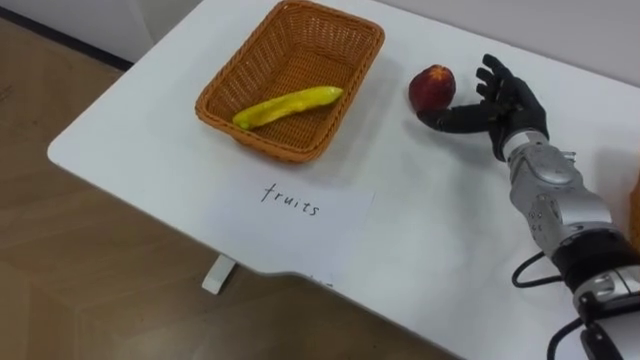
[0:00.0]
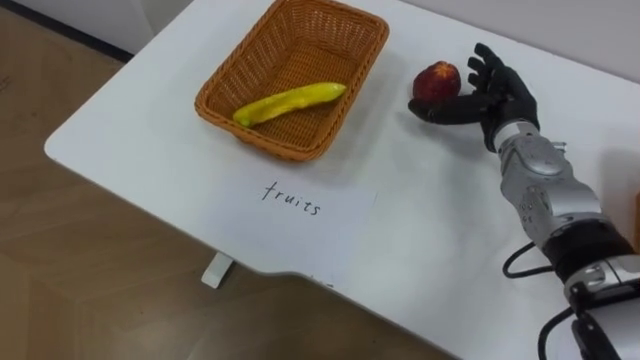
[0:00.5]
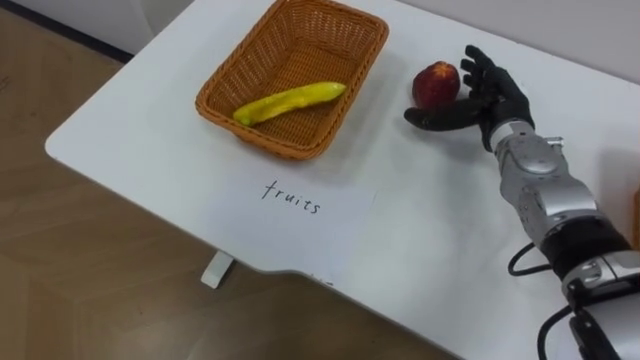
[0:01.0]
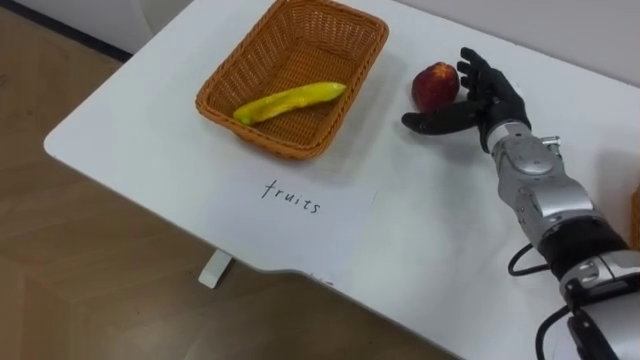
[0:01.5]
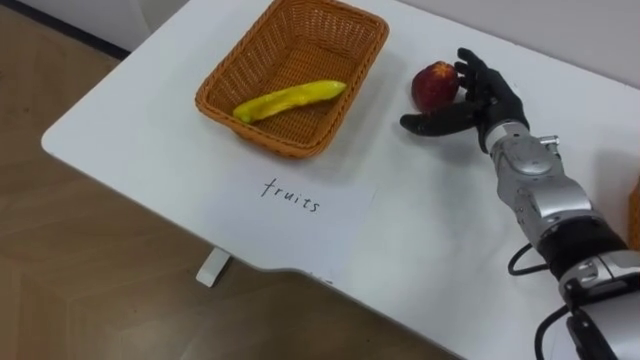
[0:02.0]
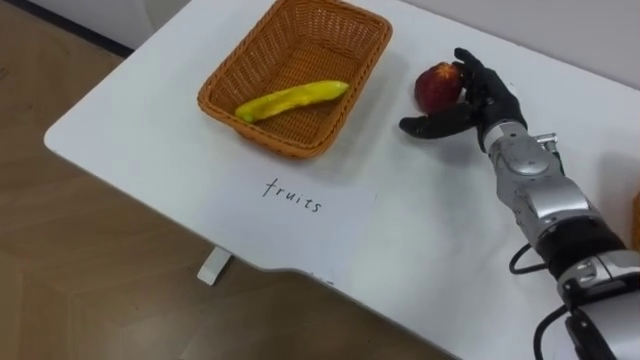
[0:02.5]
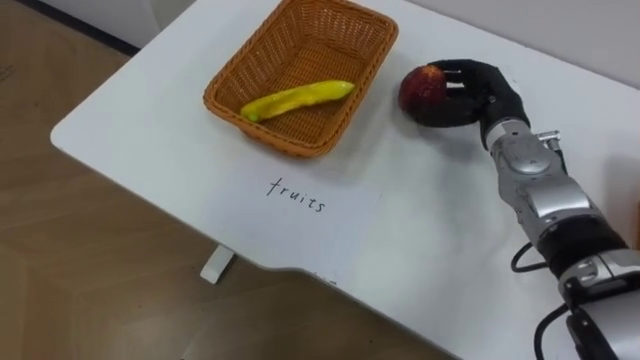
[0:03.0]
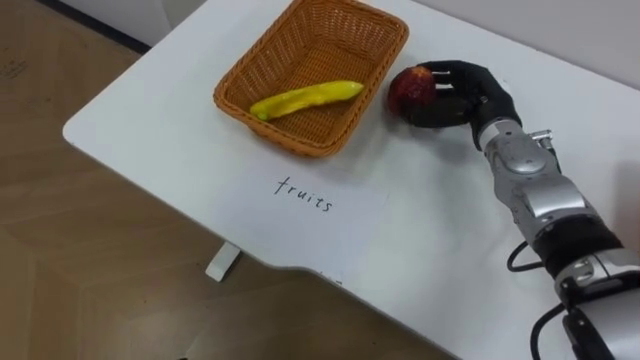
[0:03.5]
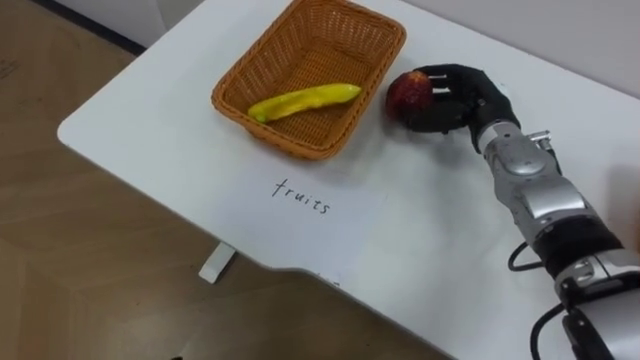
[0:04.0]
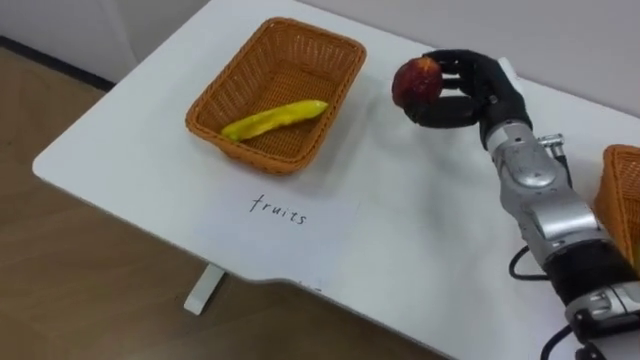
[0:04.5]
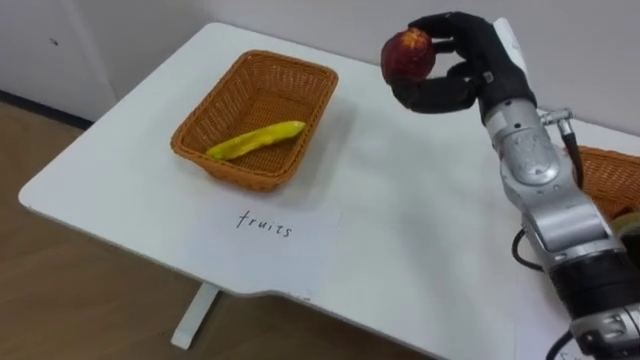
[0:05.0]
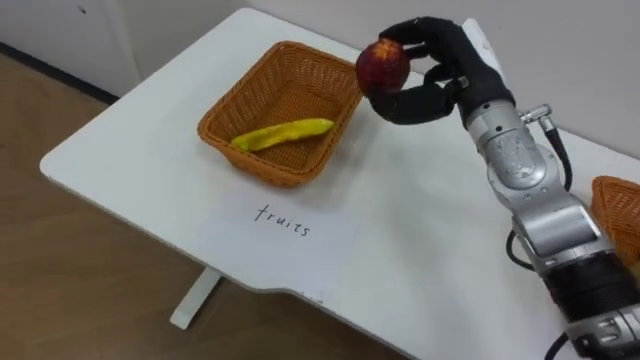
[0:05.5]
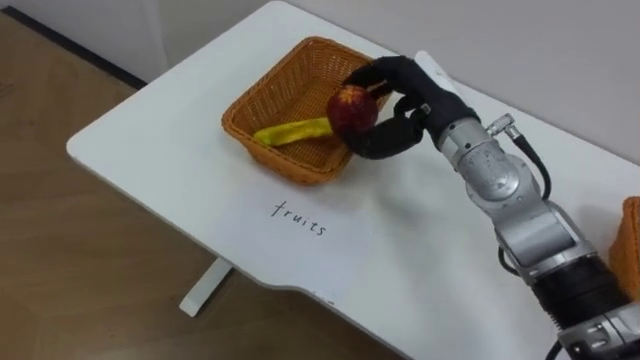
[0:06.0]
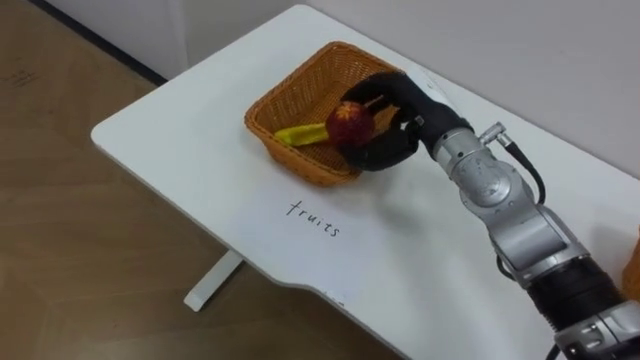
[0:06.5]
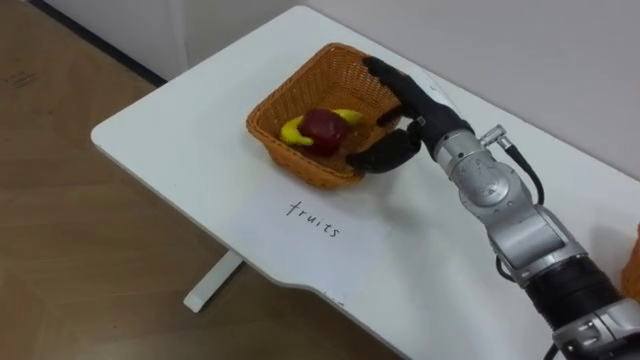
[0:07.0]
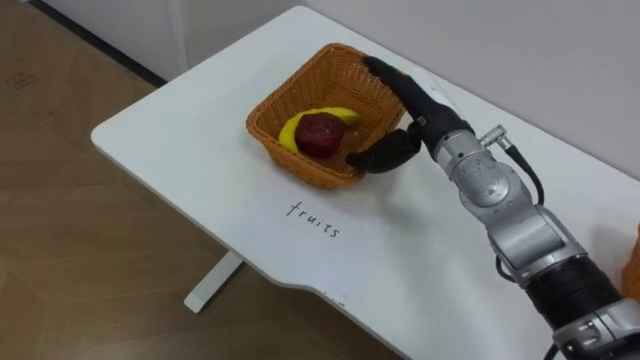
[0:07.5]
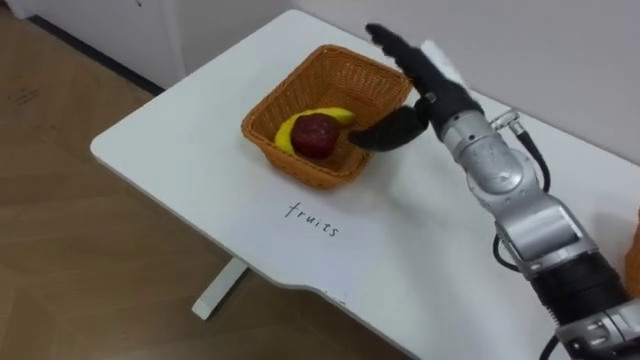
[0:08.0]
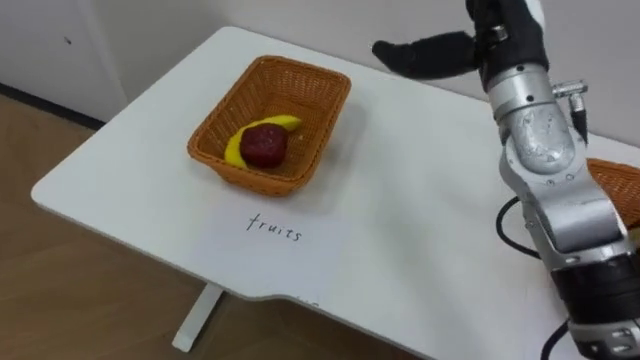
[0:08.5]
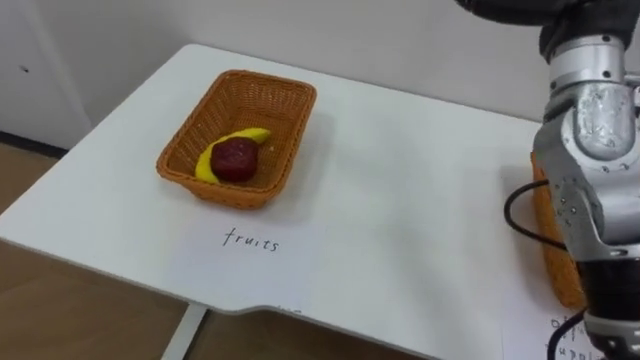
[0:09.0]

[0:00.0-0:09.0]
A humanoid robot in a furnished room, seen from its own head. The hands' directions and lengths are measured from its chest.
Task of the whole recording: Separate the items on the table and place them into the two baskets.
0:02.0 to 0:04.5: The right hand closes.
0:04.5 to 0:07.0: The right hand shifts some 10 cm to the left, and opens up.
0:07.0 to 0:09.0: The right hand heads upward and to the right, covering about 20 cm.

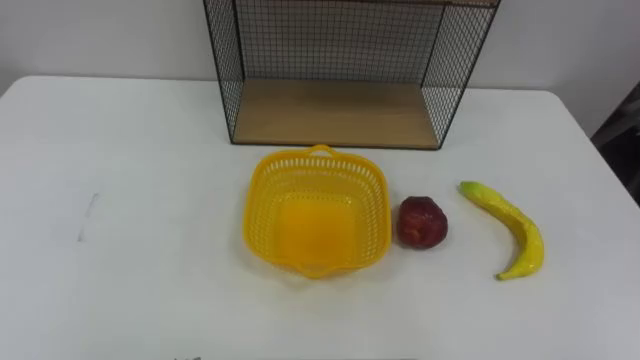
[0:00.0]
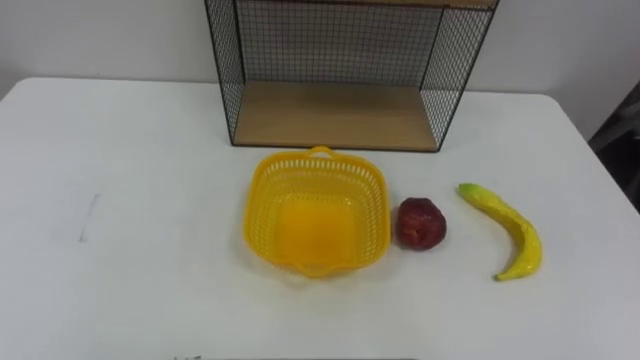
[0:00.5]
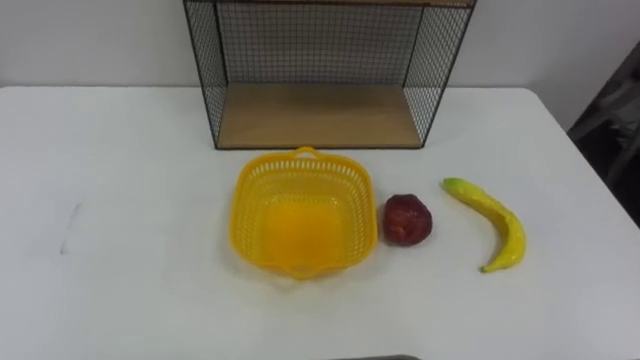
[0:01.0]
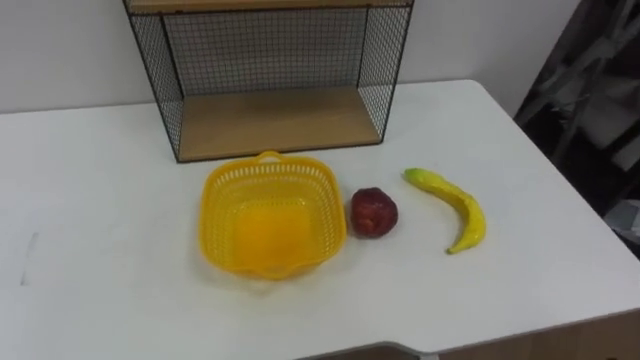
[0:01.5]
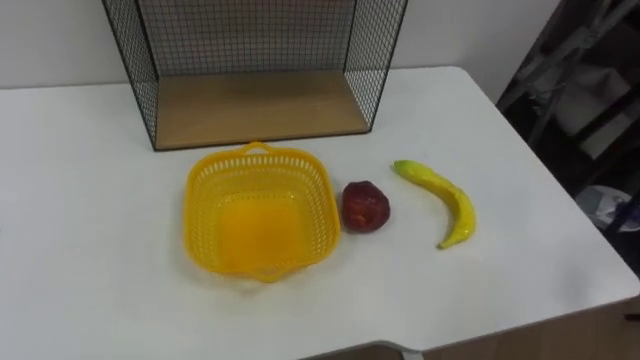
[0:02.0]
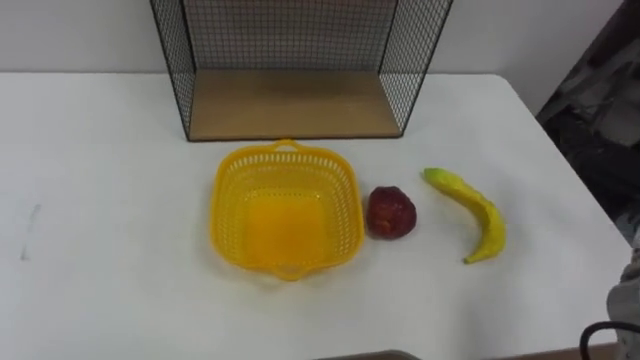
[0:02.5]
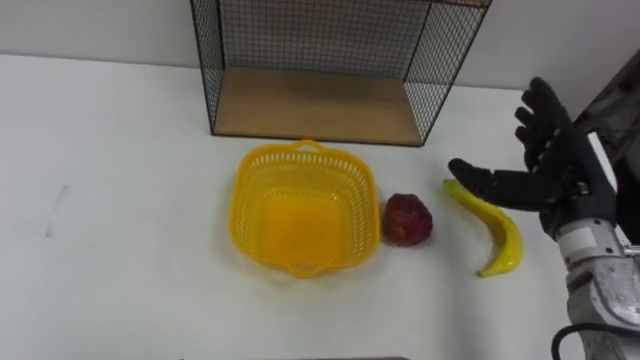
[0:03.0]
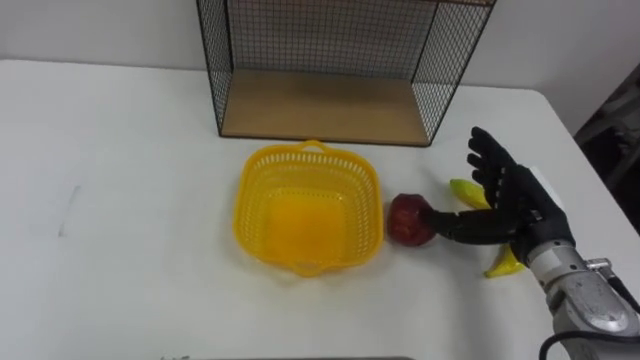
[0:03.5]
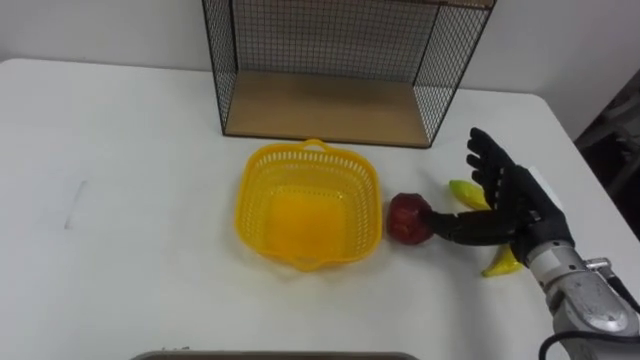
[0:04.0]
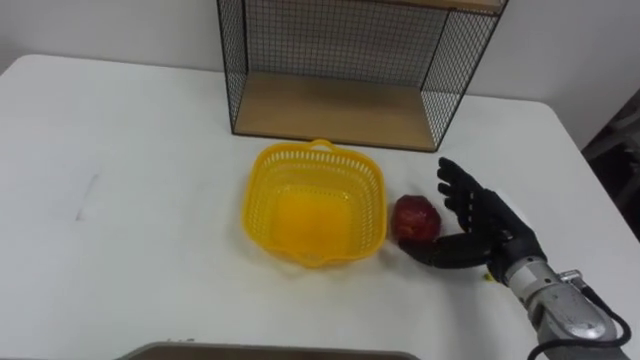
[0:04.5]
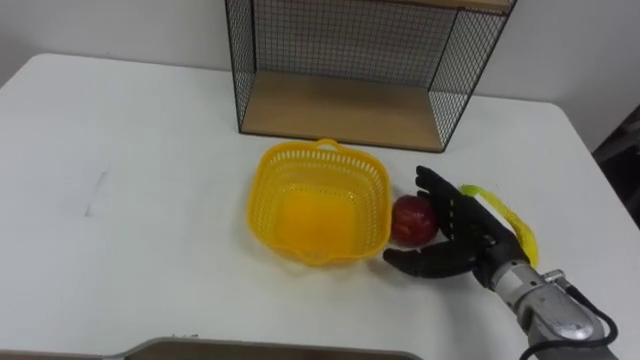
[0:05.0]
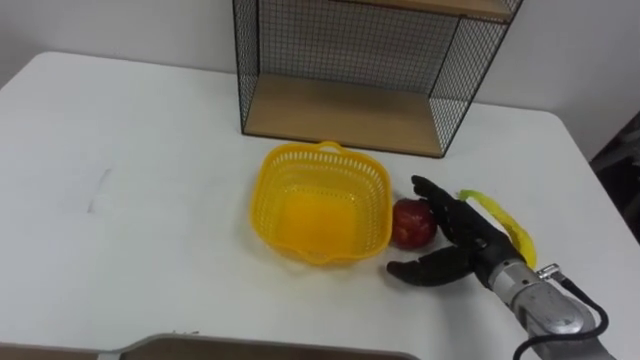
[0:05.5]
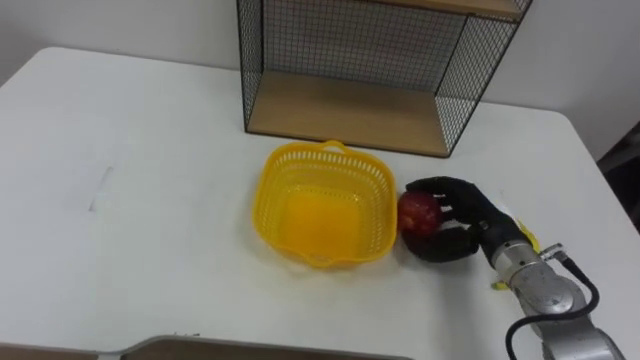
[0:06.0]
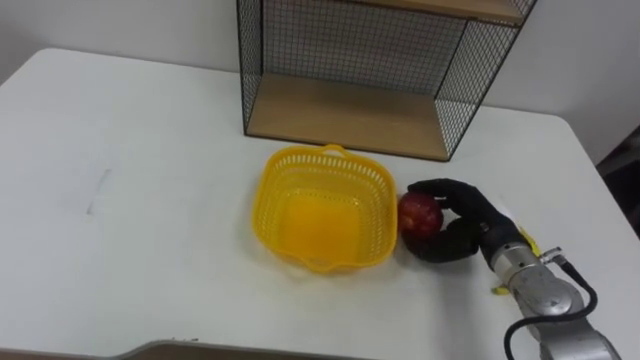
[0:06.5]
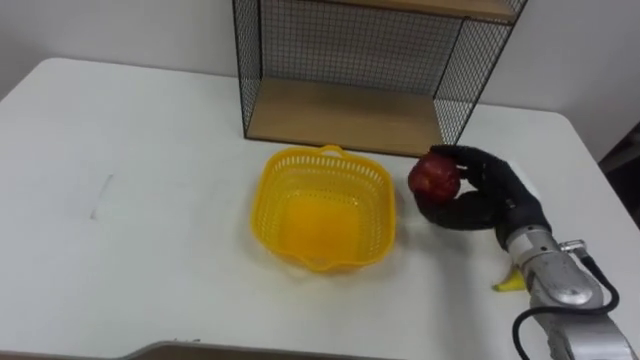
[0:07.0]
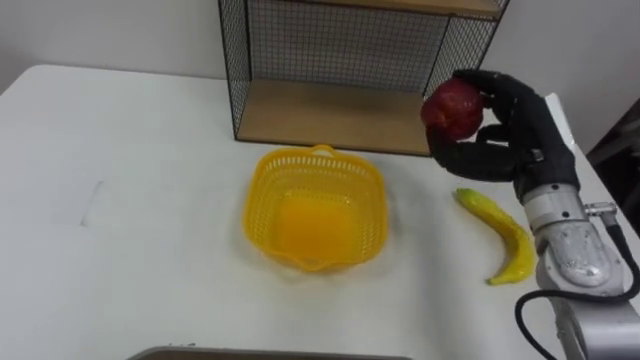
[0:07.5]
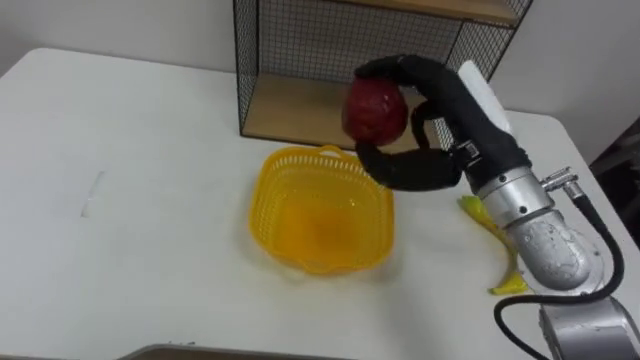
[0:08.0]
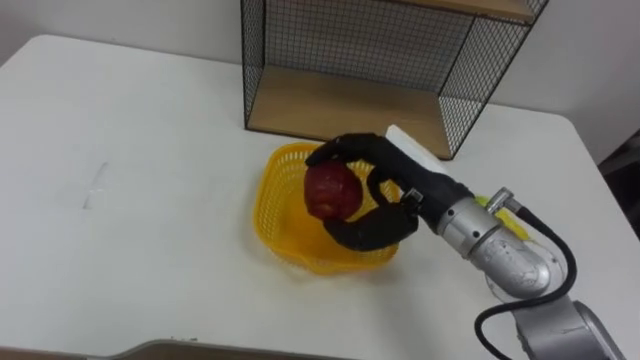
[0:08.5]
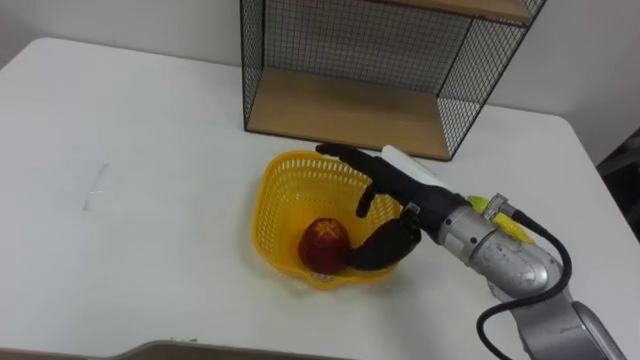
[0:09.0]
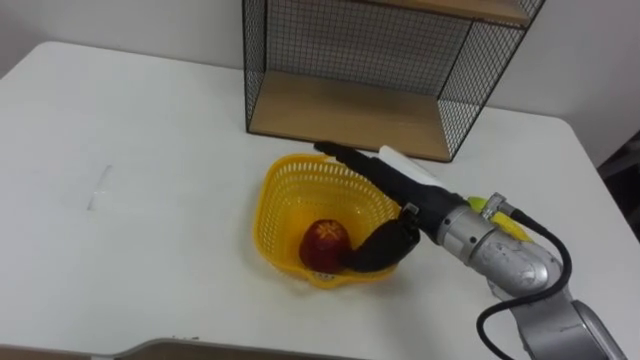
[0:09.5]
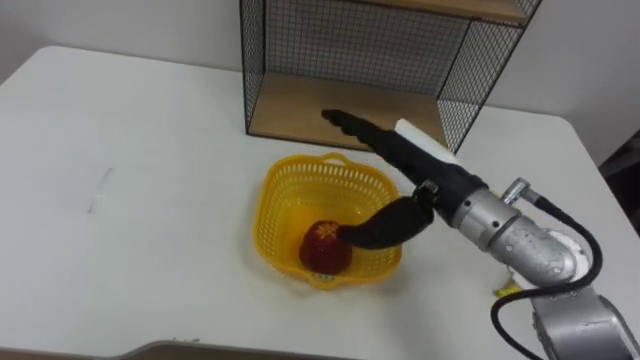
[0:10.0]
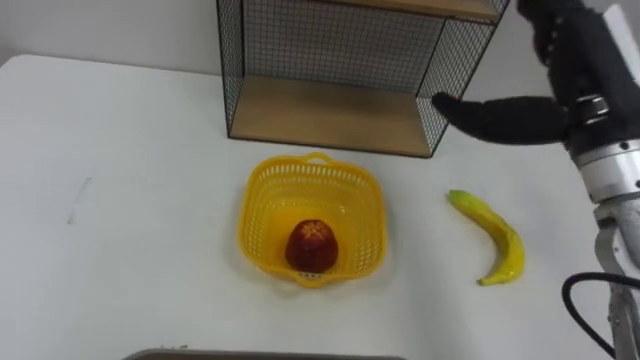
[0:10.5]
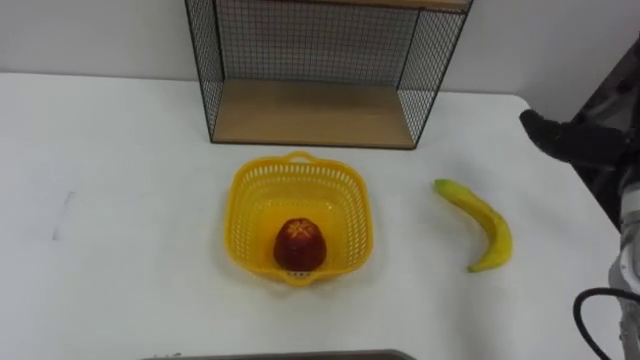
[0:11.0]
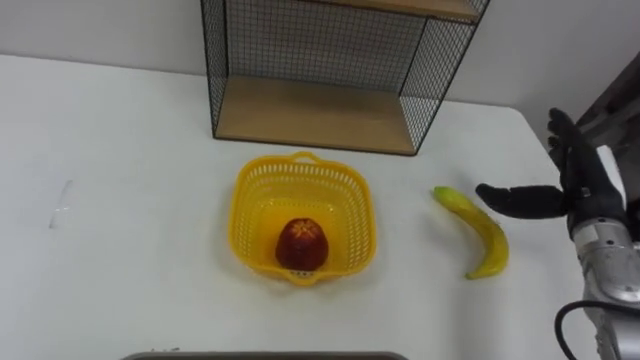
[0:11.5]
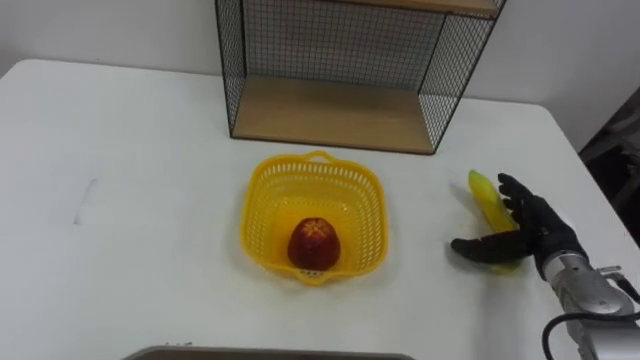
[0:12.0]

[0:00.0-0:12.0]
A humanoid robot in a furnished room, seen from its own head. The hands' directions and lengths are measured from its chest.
Task of the whole recording: Put the fruit on the table into the basket, then place the basket on the shelf.
0:04.0 to 0:06.0: The right hand moves about 5 cm, and closes.
0:06.0 to 0:08.0: The right hand moves upward, about 20 cm.
0:08.0 to 0:10.0: The right hand travels downward by about 5 cm, and opens up.
